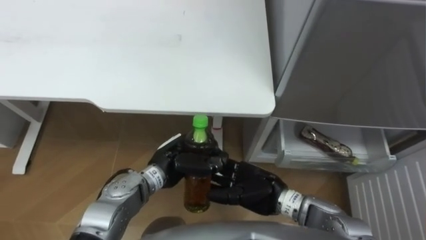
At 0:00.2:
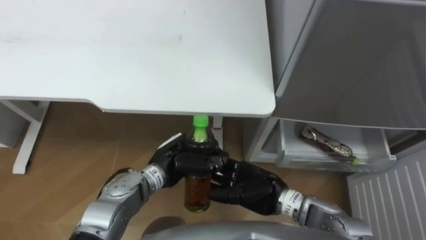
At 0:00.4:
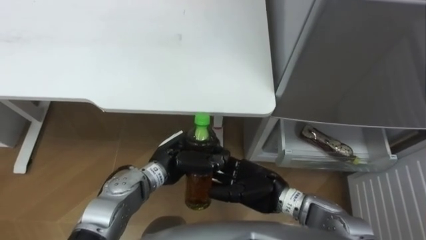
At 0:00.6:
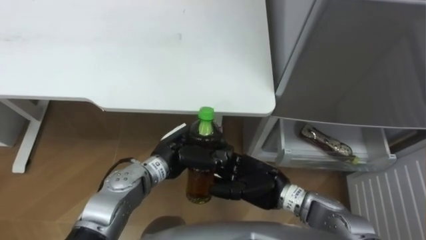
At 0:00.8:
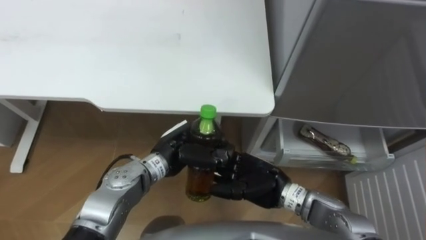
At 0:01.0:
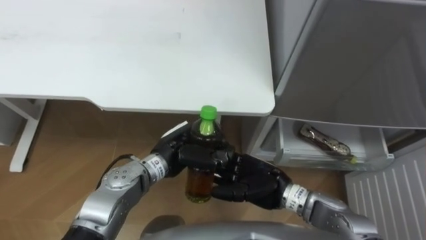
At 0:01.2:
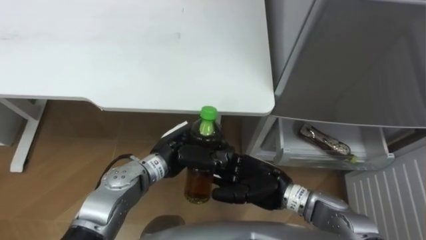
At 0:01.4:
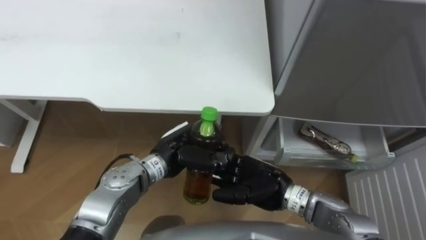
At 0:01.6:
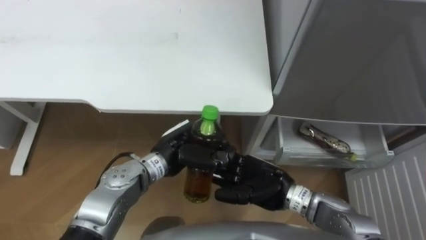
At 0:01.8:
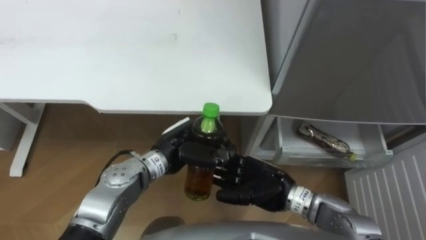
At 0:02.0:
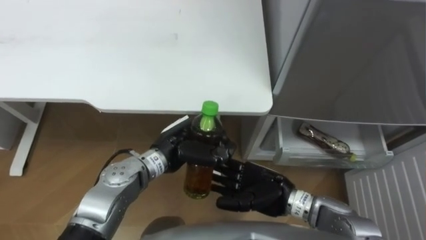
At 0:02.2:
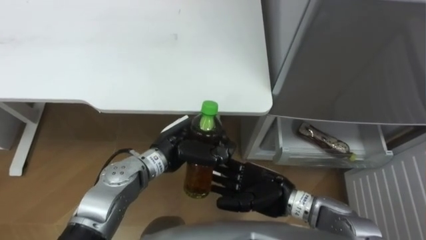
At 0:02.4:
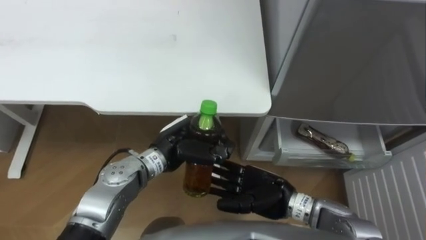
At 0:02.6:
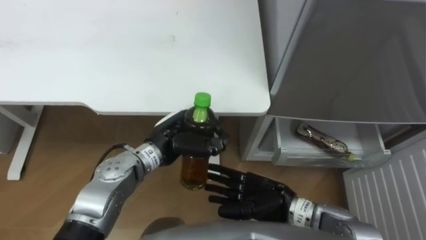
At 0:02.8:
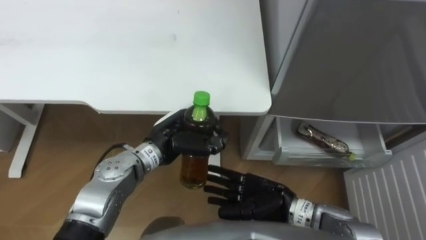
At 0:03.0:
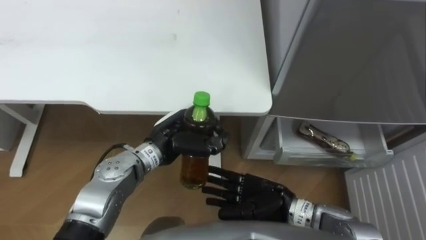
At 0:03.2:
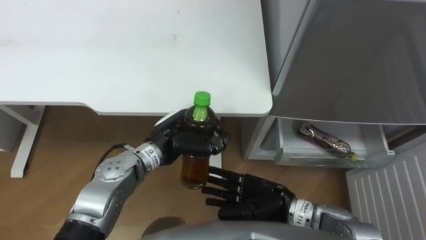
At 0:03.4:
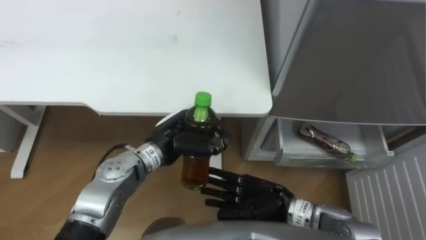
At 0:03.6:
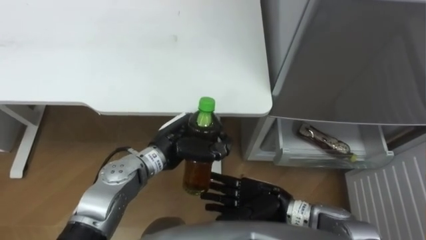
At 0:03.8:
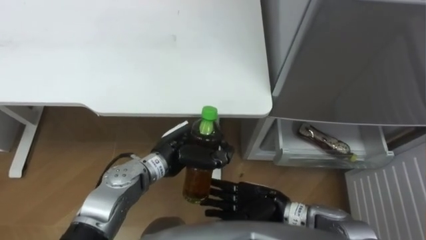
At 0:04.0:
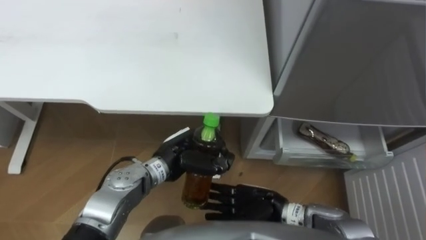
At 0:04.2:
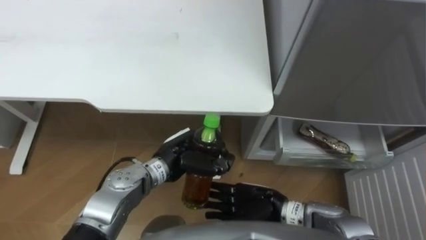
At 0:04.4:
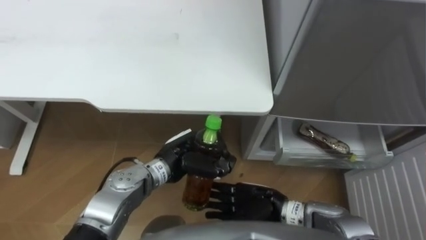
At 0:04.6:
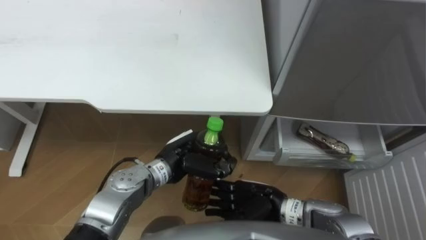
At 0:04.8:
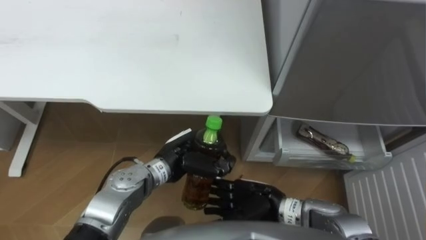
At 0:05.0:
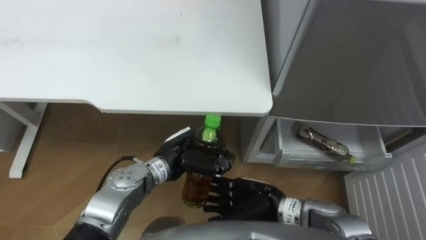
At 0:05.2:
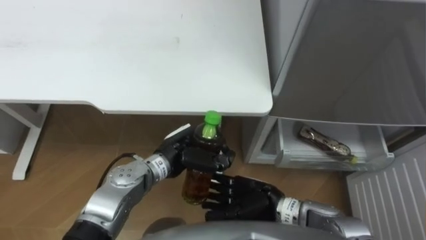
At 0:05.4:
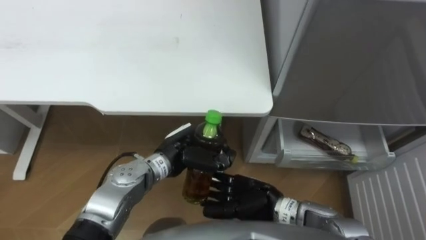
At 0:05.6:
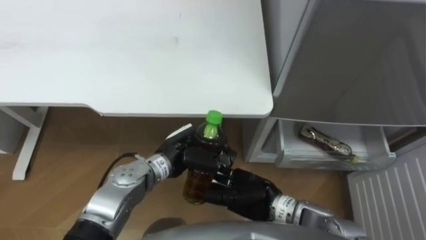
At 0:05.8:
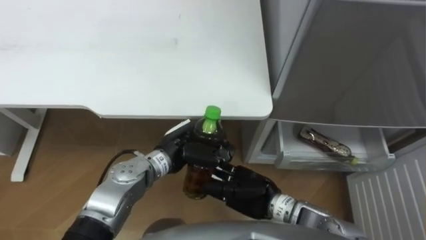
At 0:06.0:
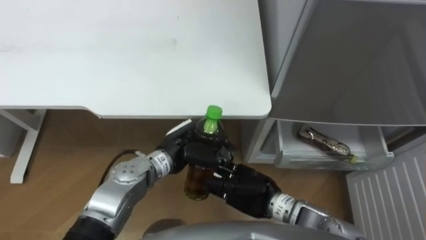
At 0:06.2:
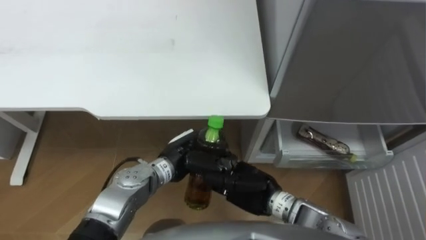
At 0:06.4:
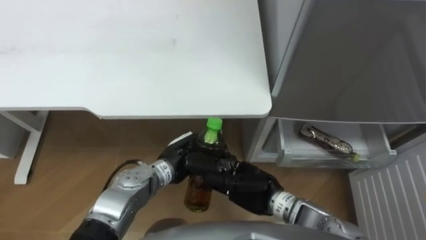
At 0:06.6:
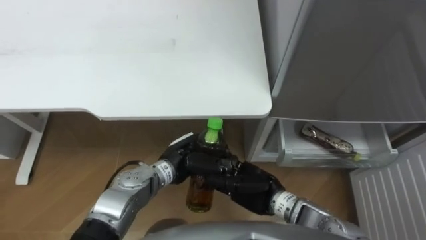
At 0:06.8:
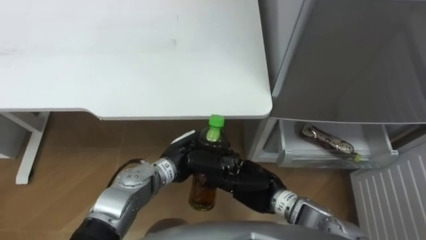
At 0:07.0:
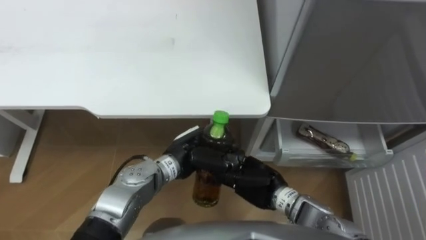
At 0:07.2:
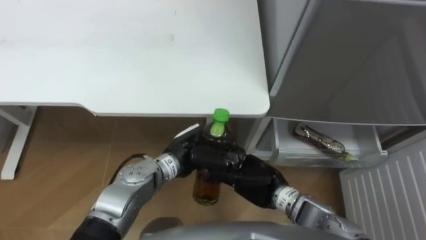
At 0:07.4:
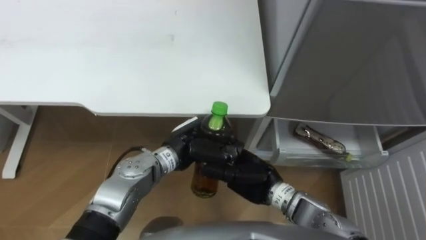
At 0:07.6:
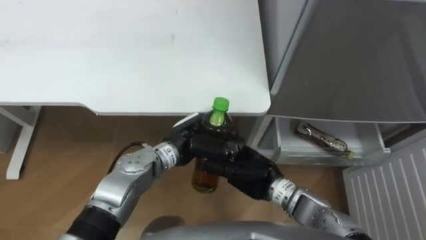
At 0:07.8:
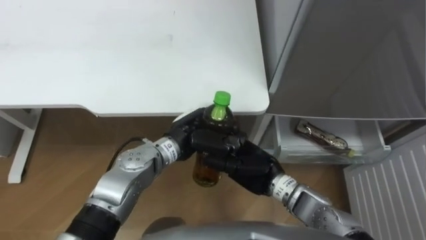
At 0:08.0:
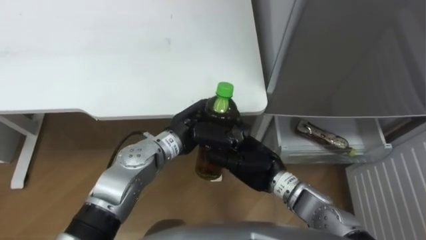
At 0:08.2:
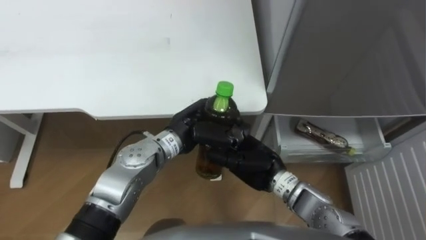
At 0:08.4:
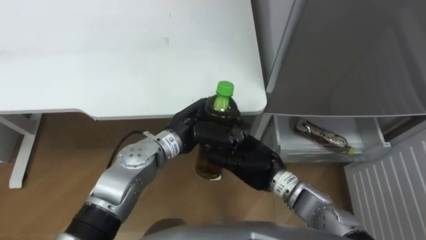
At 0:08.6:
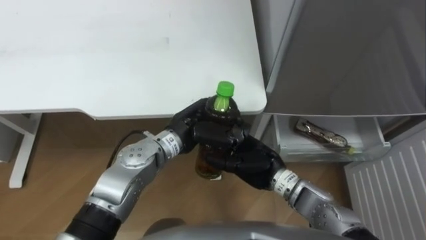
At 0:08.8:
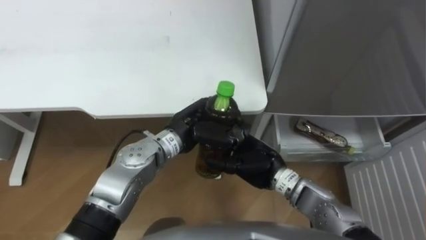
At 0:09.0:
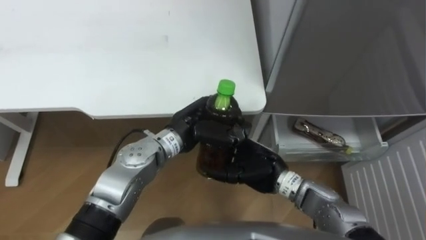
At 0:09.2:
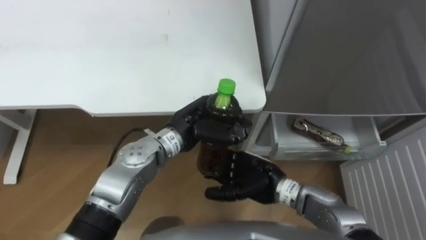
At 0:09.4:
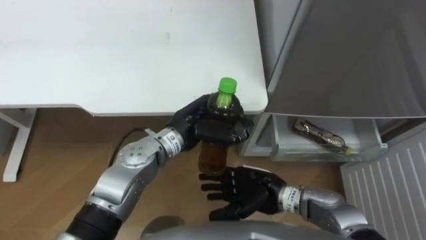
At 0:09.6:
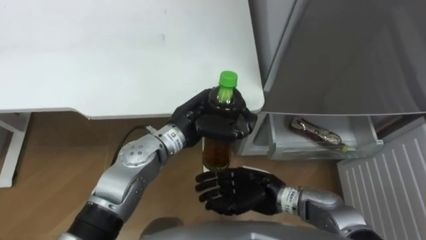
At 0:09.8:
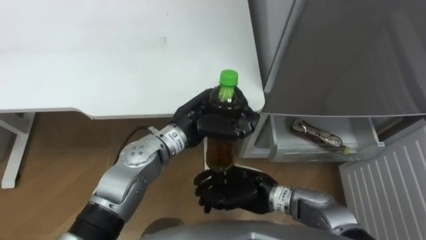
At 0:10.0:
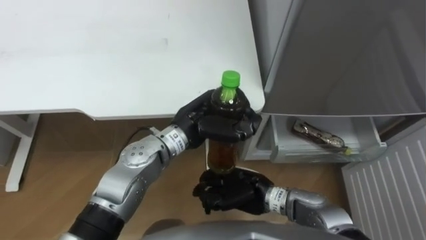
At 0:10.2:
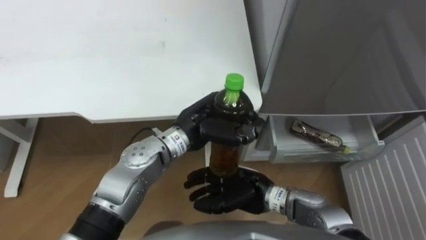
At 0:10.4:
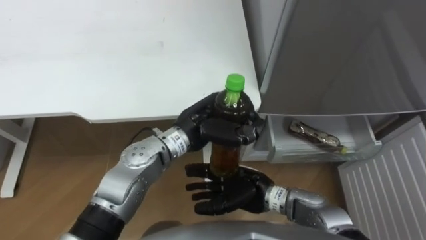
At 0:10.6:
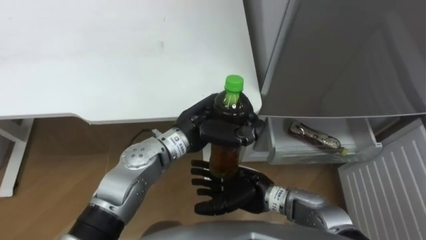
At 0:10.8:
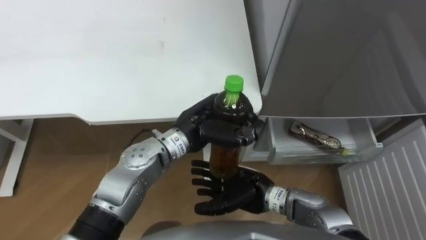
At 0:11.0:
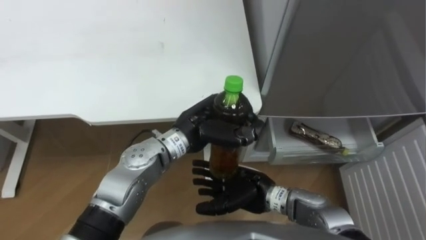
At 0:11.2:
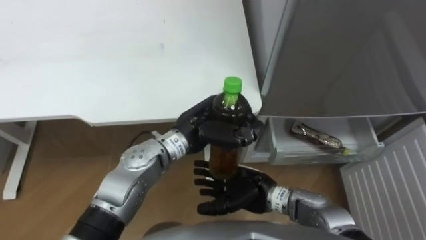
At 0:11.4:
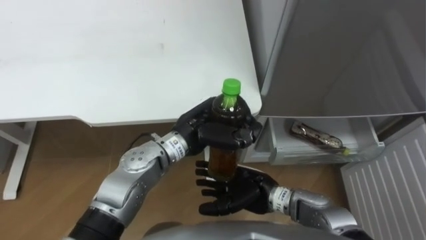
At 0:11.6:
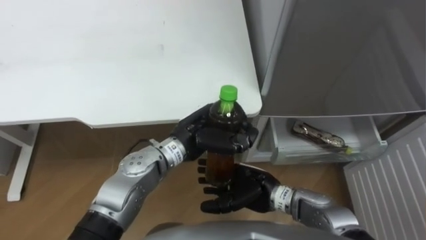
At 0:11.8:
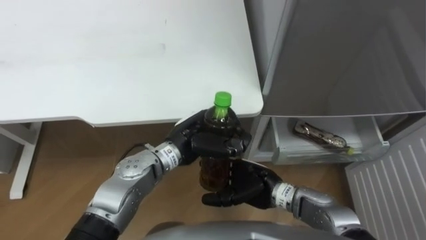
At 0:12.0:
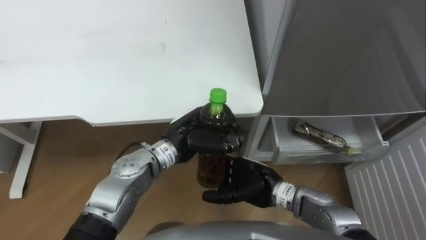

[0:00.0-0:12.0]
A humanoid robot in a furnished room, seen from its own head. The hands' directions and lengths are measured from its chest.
Task of the whole recording: Place the drink on the table on the bottom shelf of the refrigerator, then close the drawer and the refrigerator door.
0:00.0 to 0:04.4: The hands make only small movements.
0:06.0 to 0:07.6: There are only small adjustments of the hands.
0:07.6 to 0:09.0: The hands stay close to where they were, moving slightly.
0:09.0 to 0:10.4: The right hand changes place by approximately 5 cm, and closes, then opens again.
0:10.4 to 0:12.0: There are only small adjustments of the hands.

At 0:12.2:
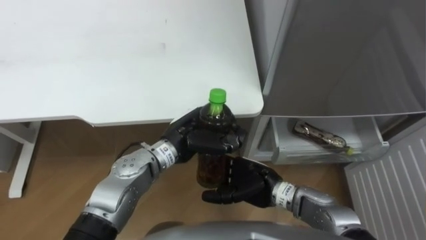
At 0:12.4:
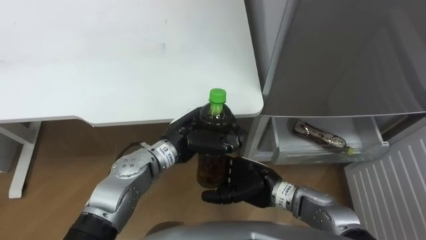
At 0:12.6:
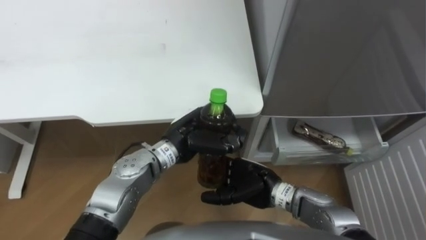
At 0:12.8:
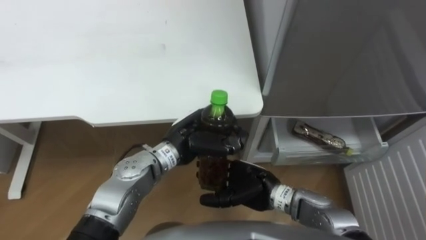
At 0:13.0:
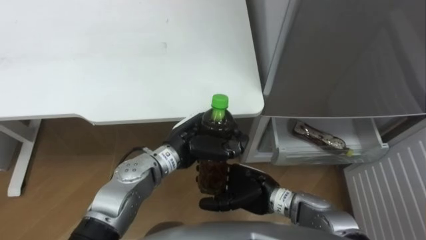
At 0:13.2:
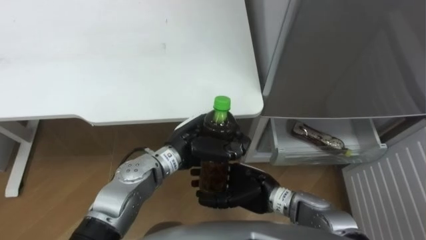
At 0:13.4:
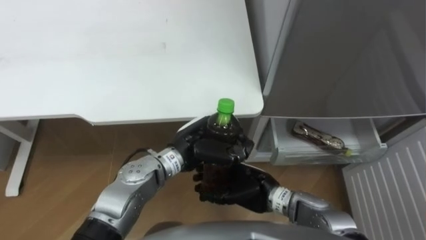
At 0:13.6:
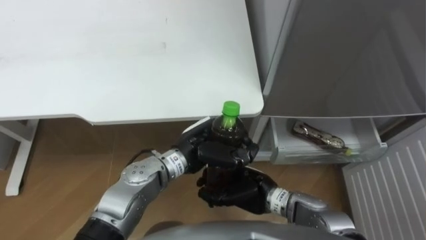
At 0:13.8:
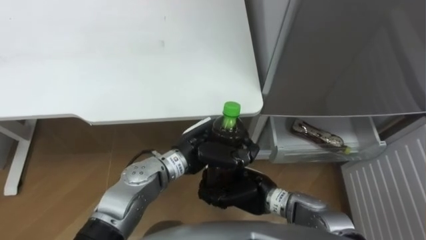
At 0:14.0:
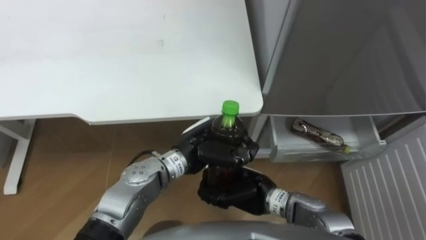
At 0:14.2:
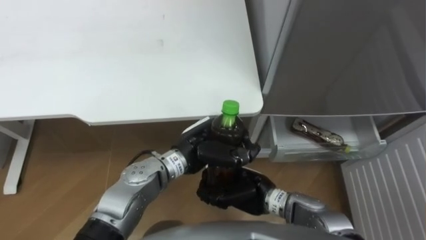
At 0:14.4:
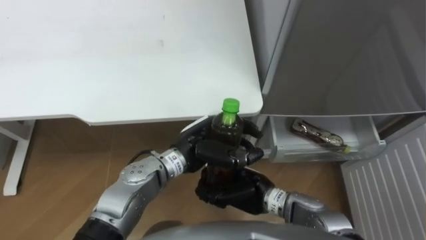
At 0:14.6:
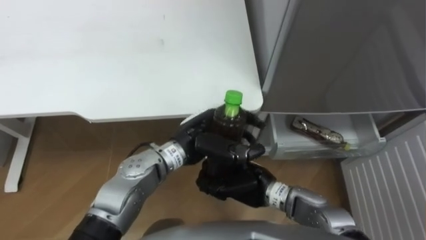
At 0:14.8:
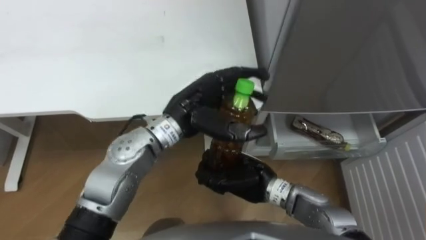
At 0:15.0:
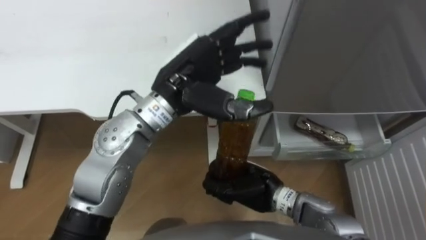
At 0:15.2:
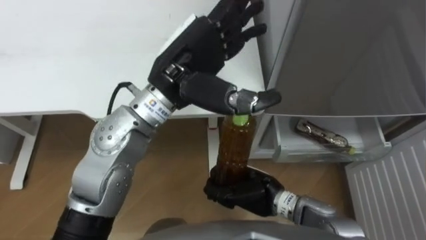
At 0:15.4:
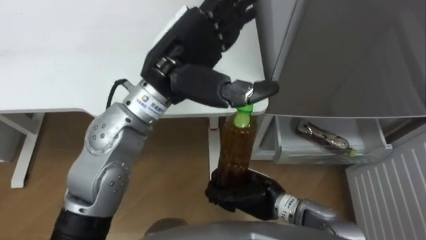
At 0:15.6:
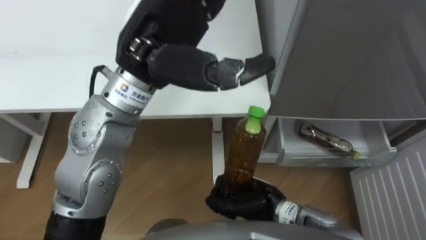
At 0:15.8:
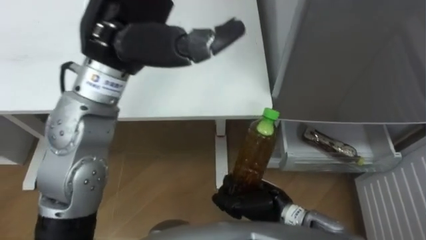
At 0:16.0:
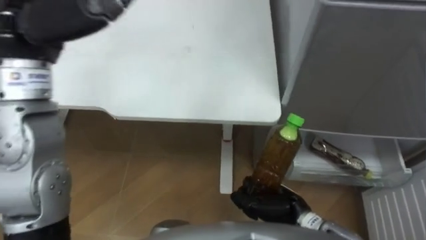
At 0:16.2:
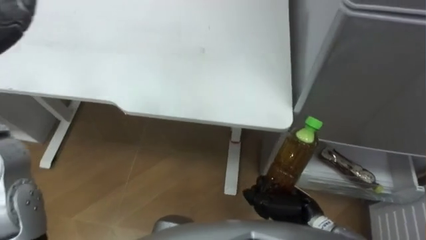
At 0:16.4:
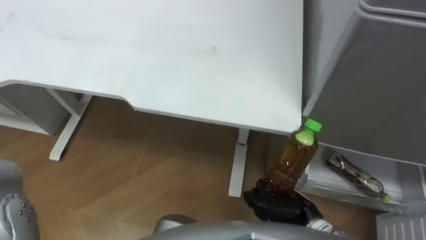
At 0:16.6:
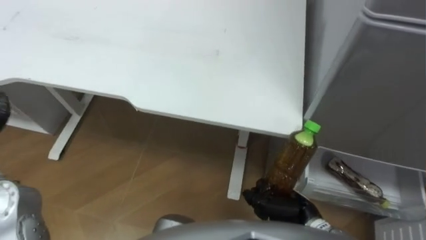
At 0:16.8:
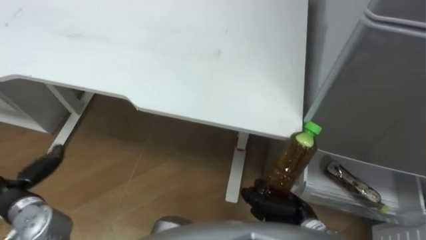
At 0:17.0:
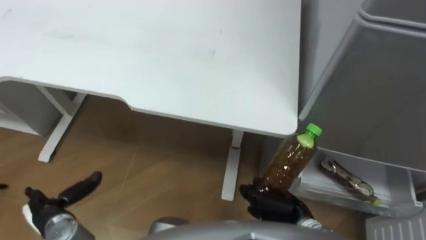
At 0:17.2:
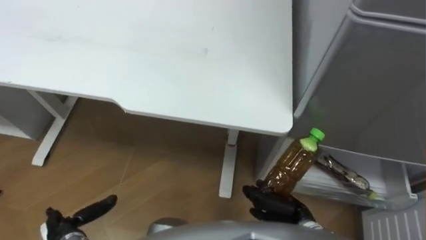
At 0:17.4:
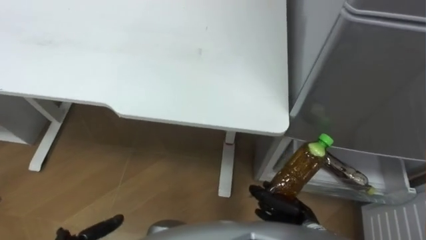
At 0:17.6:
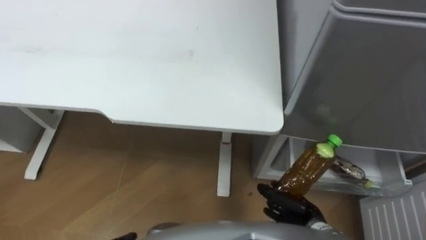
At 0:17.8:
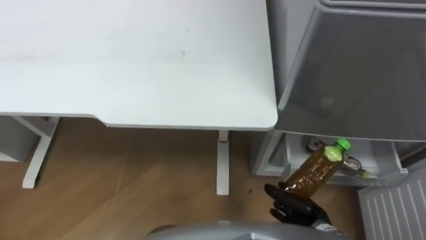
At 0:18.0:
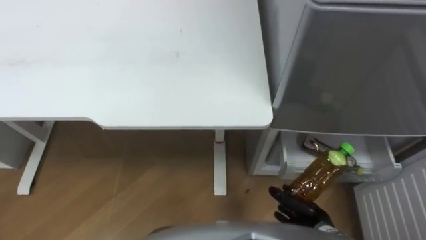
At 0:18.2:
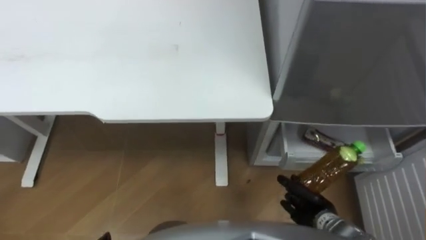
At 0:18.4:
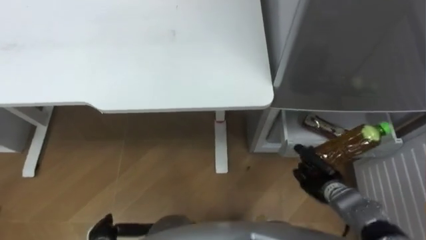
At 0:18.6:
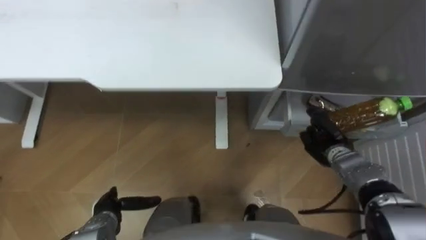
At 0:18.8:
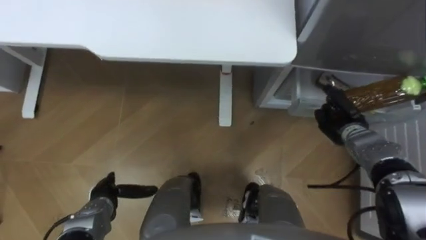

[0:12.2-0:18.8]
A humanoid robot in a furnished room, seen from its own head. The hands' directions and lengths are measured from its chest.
Task of the whole recording: Place the drink on the table on the bottom shelf of the refrigerator, then close the drawer and the refrigerator door.
0:12.2 to 0:13.8: The right hand closes.
0:13.8 to 0:15.4: The left hand is displaced upward by approximately 20 cm, and opens up.
0:15.4 to 0:17.2: The right hand is displaced to the right by some 5 cm.
0:17.2 to 0:18.8: The right hand shifts about 20 cm forward and to the right.
